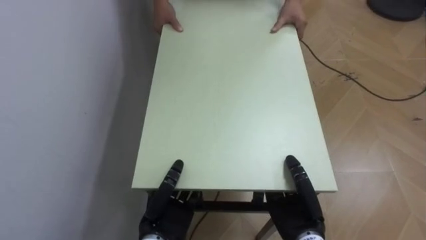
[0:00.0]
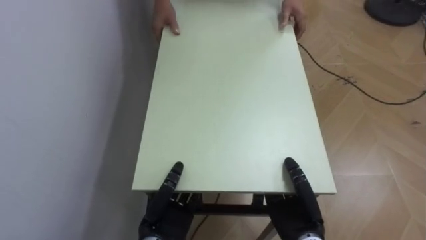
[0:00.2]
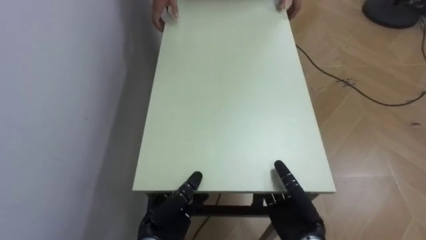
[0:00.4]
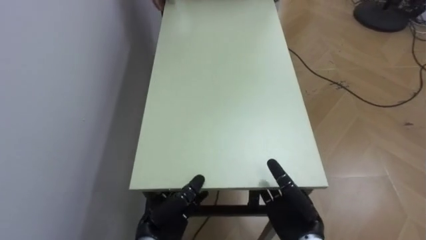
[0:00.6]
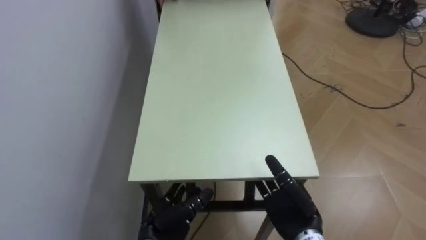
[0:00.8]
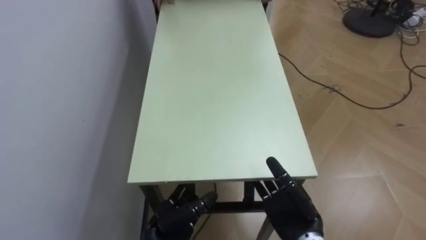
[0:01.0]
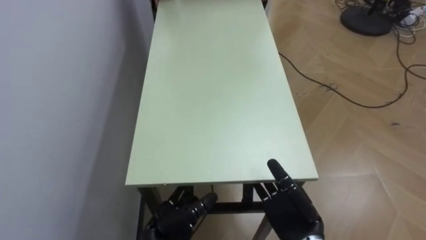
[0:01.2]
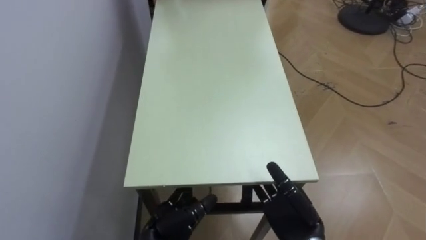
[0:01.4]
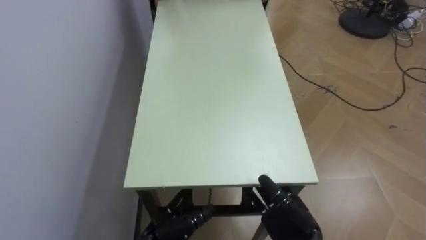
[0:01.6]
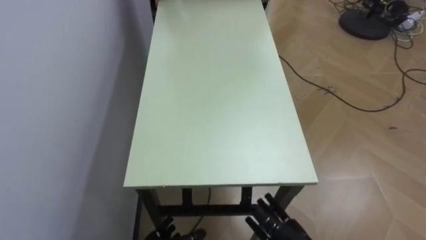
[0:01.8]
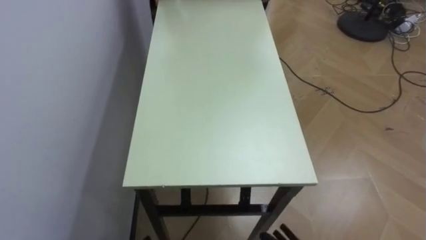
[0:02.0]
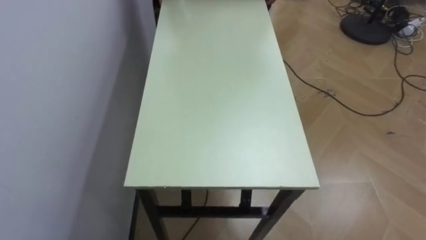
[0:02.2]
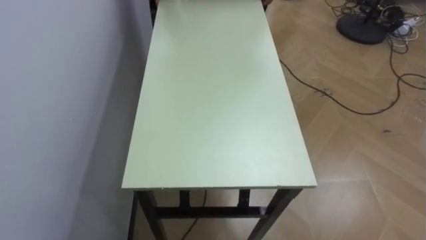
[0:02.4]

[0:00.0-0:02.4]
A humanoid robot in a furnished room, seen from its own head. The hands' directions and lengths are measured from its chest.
Task of the whole recording: Move the table to the back left with someone.
0:00.0 to 0:01.2: The left hand opens up, while the right hand opens.

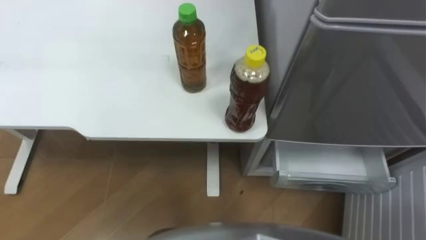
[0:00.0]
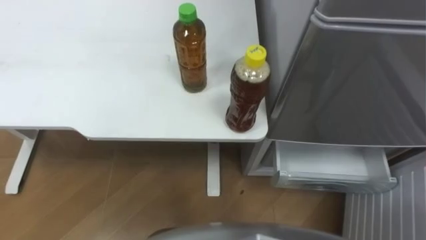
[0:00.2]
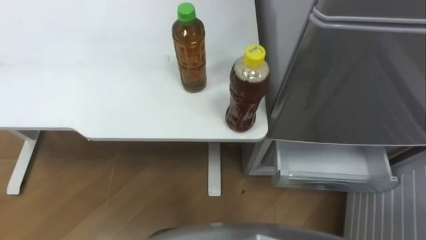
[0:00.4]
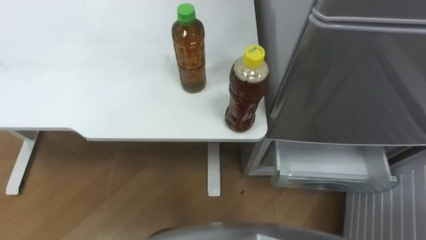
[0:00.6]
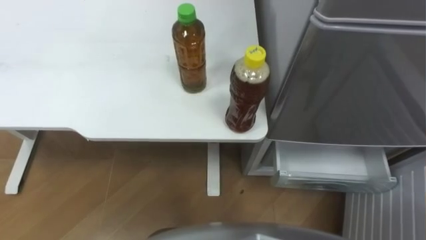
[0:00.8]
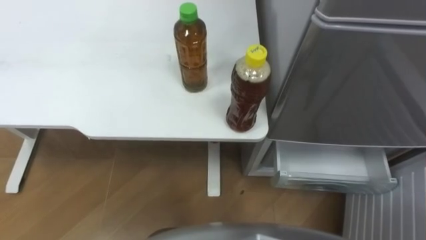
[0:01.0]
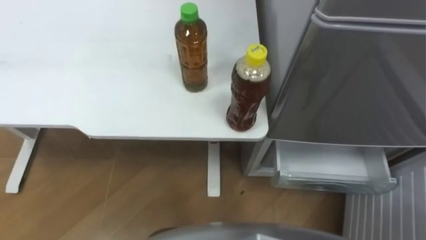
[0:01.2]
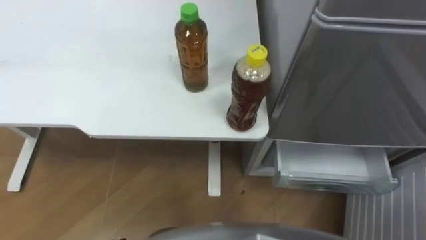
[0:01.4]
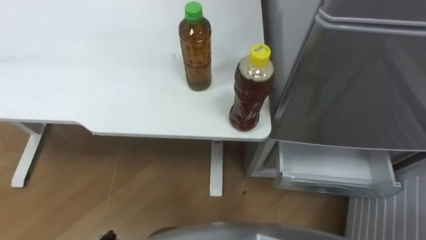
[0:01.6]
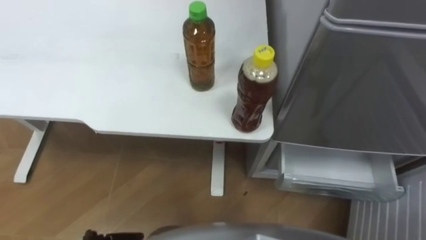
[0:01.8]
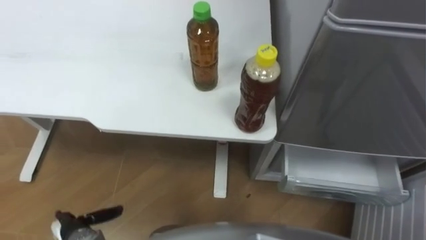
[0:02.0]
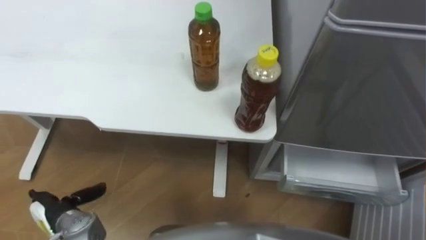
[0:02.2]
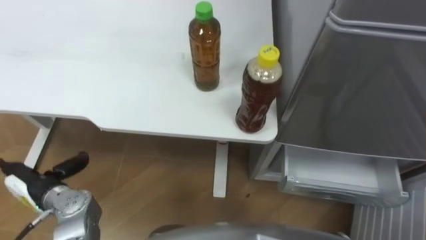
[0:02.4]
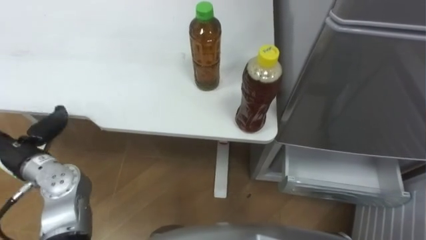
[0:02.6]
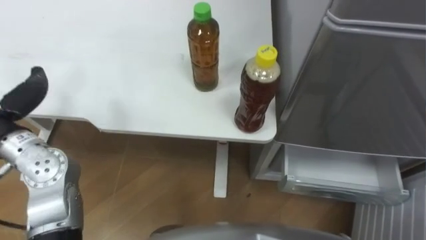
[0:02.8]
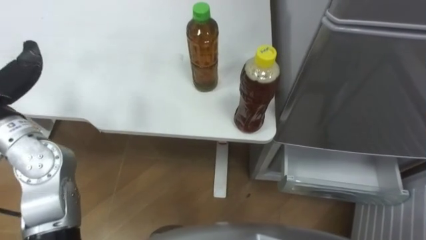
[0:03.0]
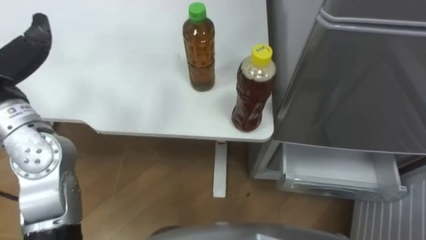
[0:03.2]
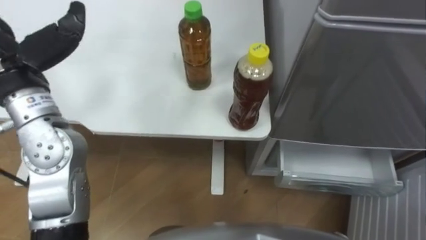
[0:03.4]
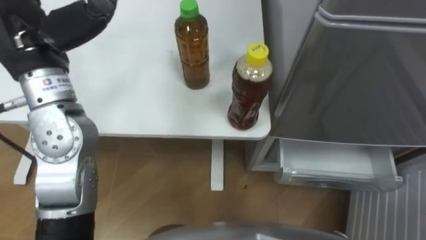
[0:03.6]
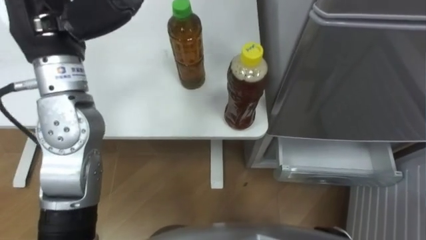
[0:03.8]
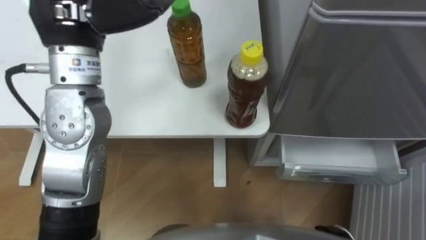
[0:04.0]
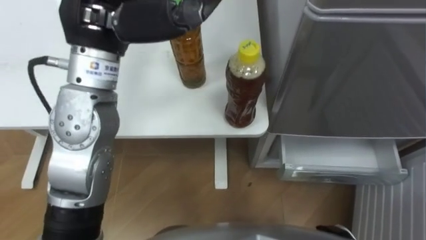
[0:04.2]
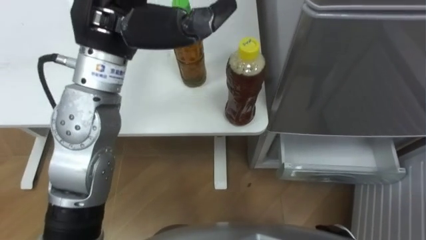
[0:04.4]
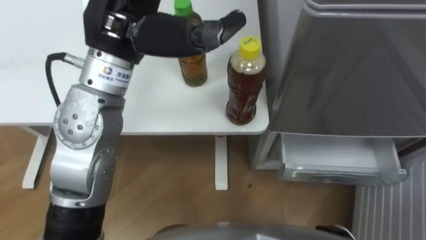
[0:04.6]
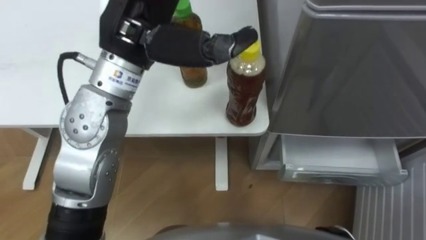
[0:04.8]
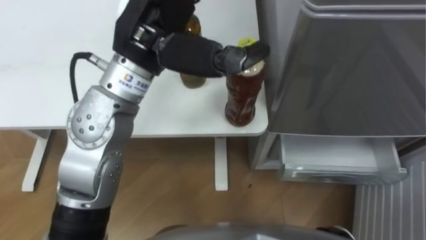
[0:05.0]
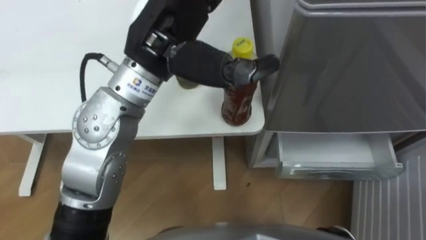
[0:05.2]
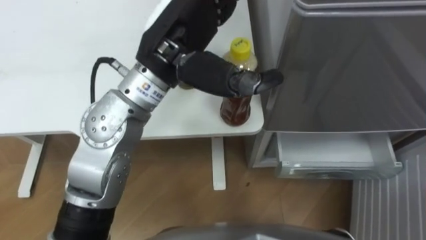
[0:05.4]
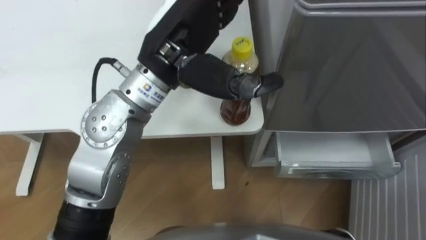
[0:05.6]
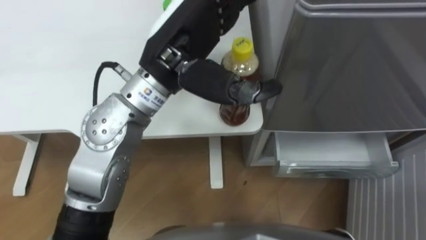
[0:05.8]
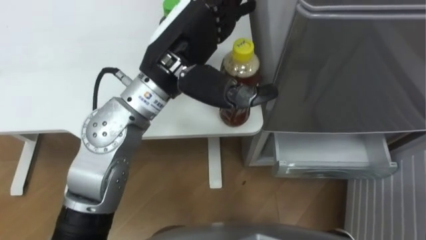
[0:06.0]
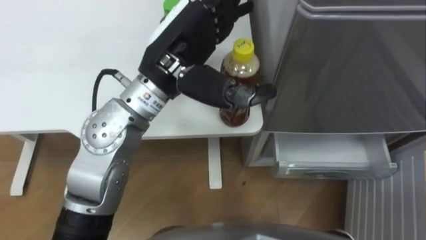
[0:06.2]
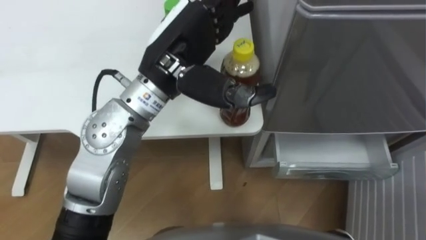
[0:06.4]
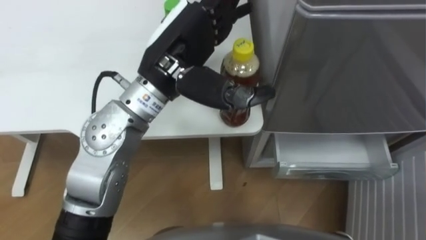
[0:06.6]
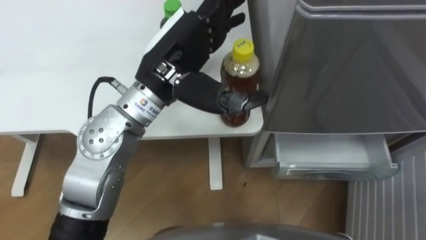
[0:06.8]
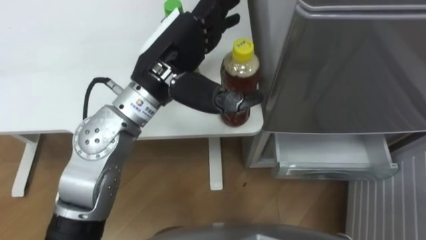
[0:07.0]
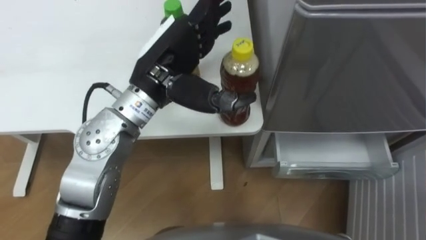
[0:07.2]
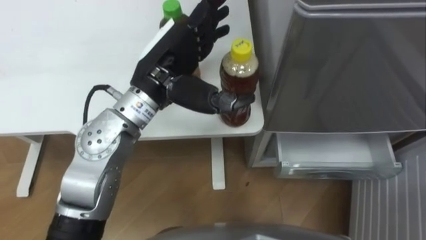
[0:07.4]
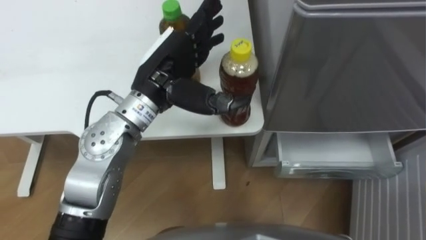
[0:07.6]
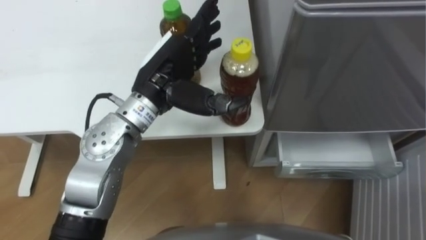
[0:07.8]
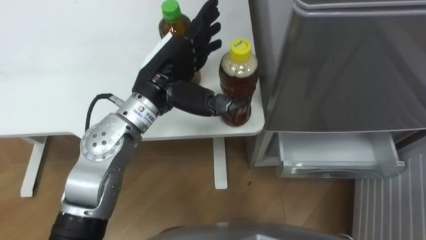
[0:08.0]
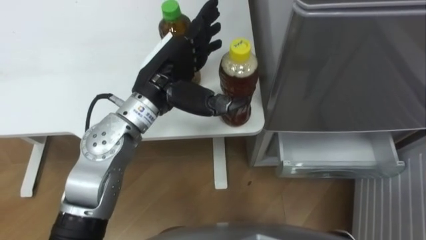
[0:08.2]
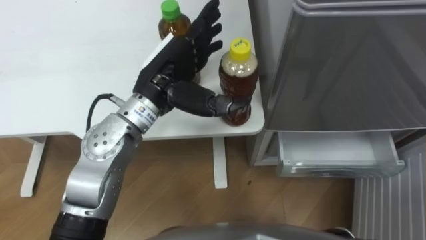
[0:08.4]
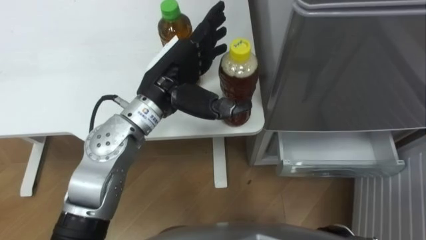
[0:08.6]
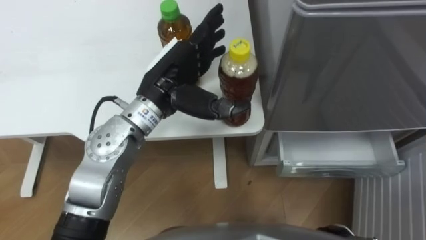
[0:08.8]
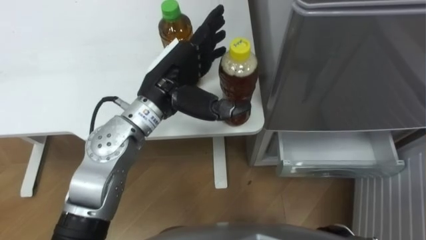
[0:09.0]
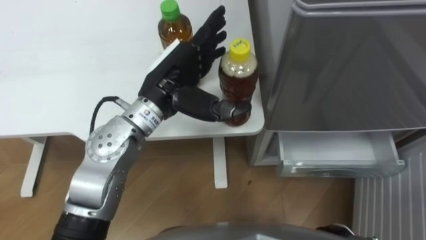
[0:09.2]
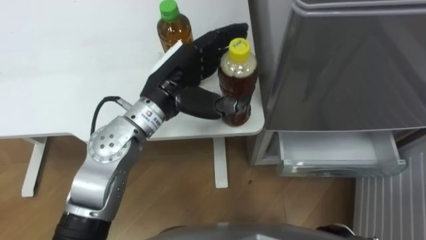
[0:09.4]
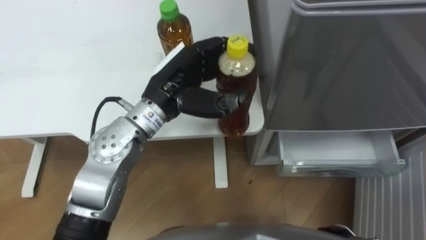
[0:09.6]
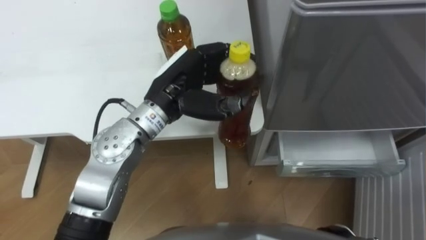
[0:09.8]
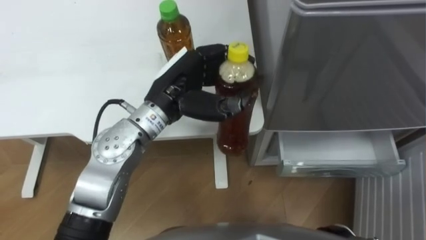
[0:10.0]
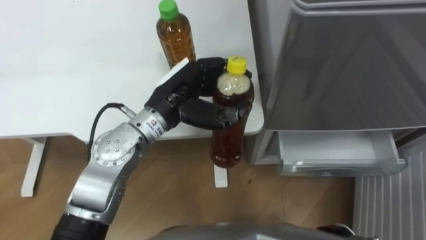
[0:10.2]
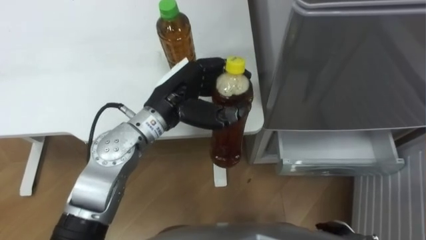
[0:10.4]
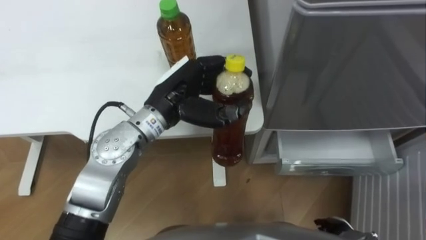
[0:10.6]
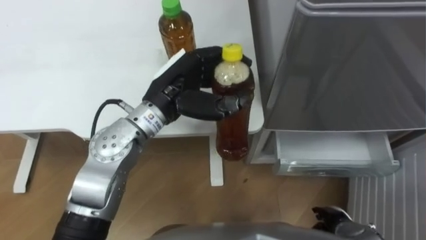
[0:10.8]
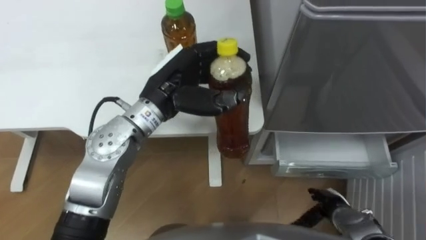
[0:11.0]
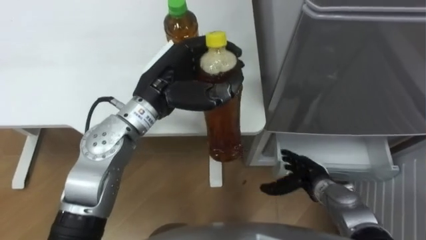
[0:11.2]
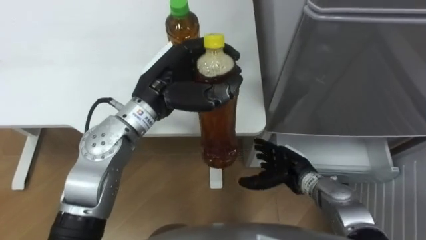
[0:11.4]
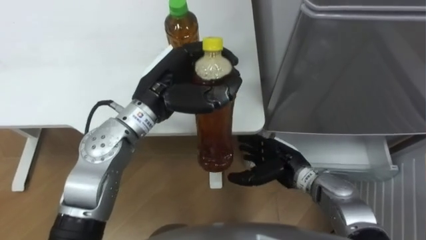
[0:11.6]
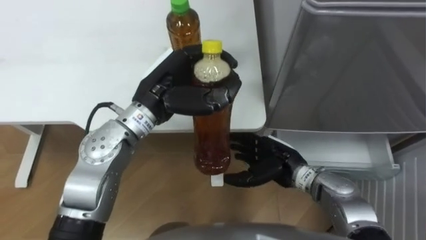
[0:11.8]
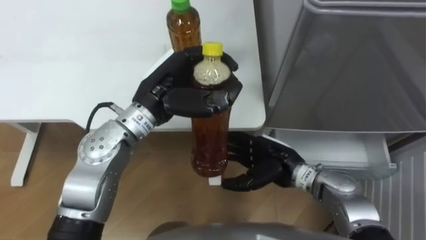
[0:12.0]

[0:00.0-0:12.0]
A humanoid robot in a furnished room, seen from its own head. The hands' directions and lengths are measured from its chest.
Task of the whole recording: Place the drink on the table on the bottom shelf of the refrigerator, then close the drawer and the refrigerator door.
0:04.4 to 0:06.0: The left hand goes approximately 10 cm to the right and downward.
0:06.0 to 0:07.6: The left hand heads downward, covering approximately 5 cm.
0:09.0 to 0:10.4: The left hand closes up.
0:10.4 to 0:12.0: The right hand heads forward, to the left and upward, covering about 25 cm.

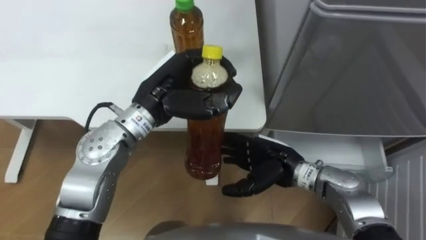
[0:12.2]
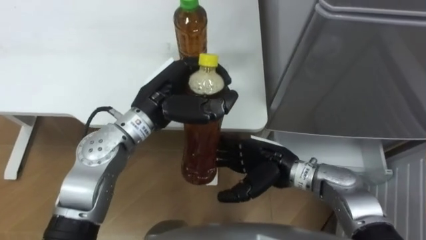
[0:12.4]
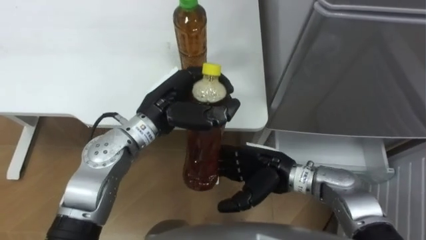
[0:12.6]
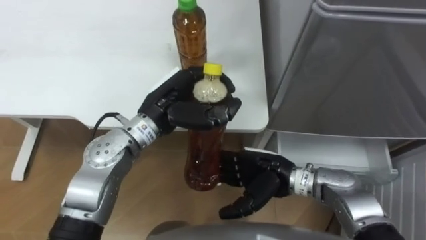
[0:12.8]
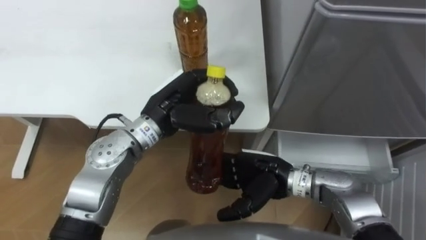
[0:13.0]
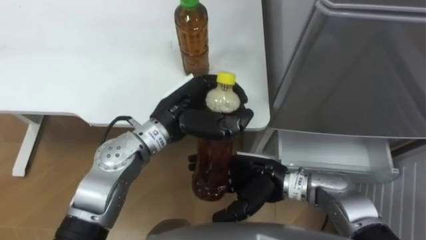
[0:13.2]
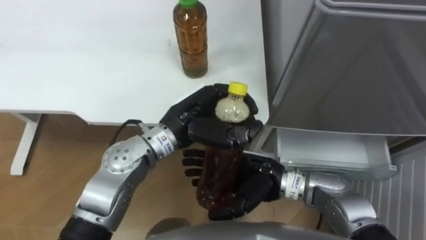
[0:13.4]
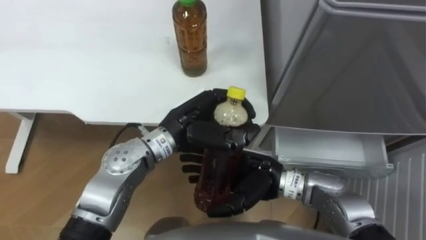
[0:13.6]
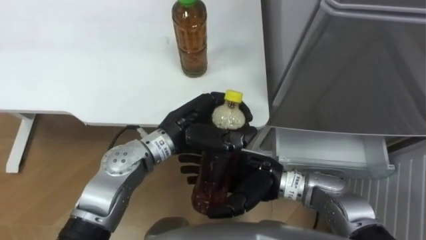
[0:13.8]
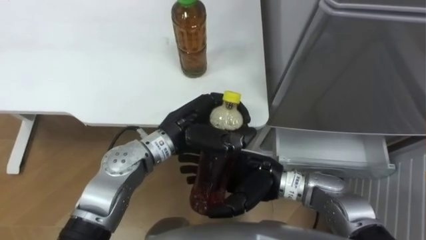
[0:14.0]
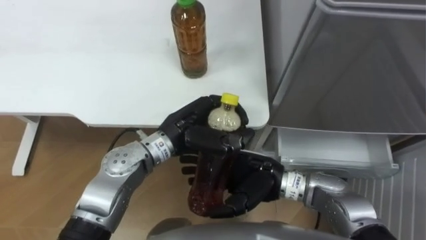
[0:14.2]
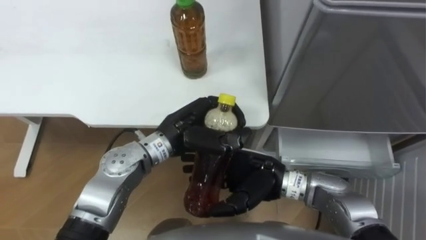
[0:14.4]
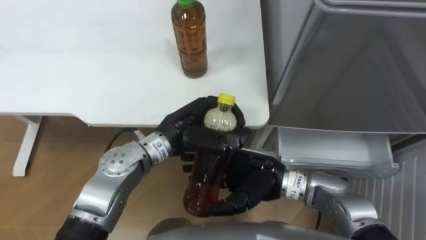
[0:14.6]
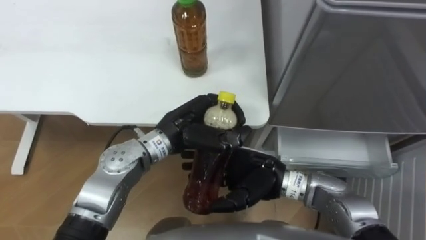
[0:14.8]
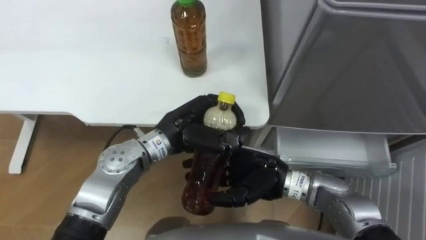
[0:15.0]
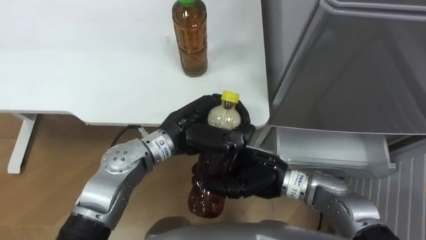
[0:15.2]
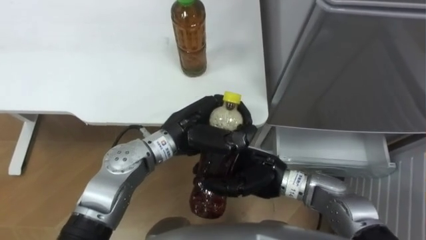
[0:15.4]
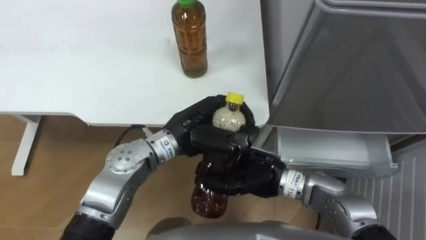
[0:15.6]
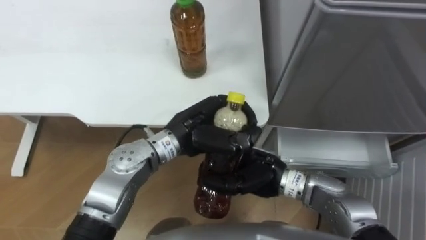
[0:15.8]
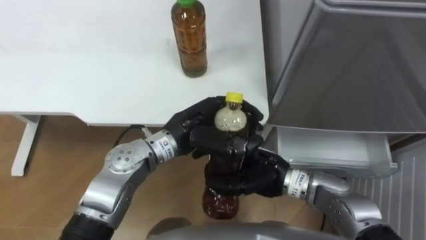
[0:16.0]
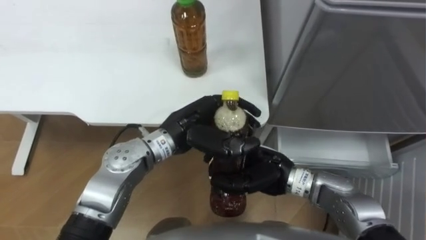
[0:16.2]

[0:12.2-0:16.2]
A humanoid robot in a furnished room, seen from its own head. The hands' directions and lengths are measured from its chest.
Task of the whole recording: Place the drink on the table on the bottom shelf of the refrigerator, then close the drawer and the refrigerator door.
0:12.2 to 0:13.6: The left hand heads downward, covering about 5 cm, while the right hand moves roughly 5 cm.
0:13.6 to 0:14.8: The hands move only a little.
0:14.8 to 0:16.2: The right hand closes its fingers.
